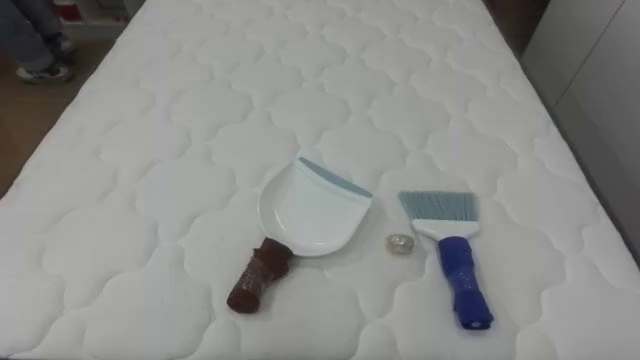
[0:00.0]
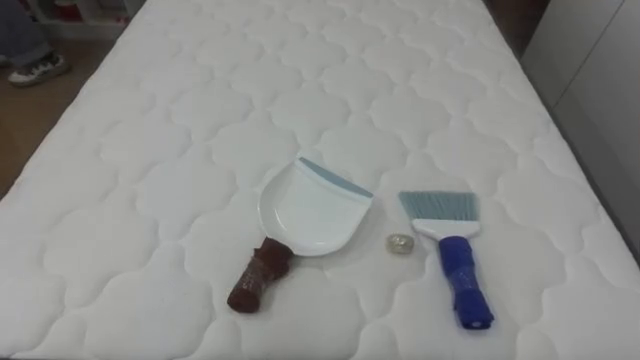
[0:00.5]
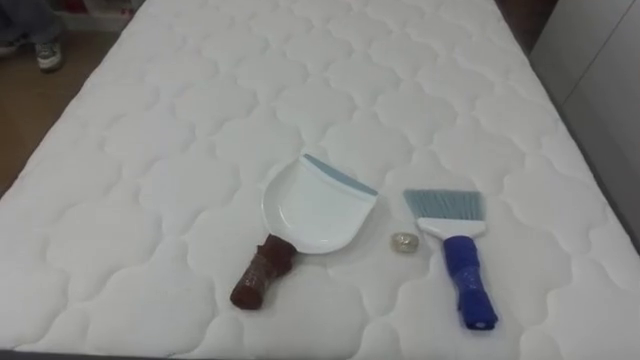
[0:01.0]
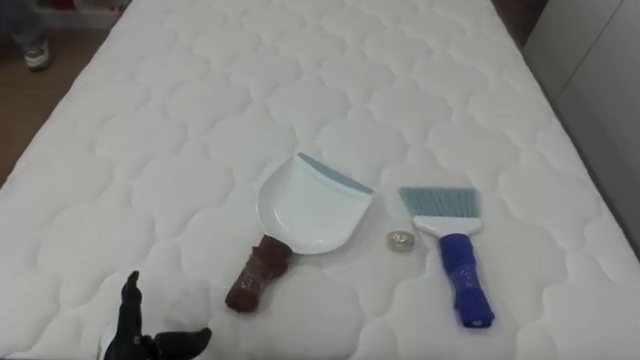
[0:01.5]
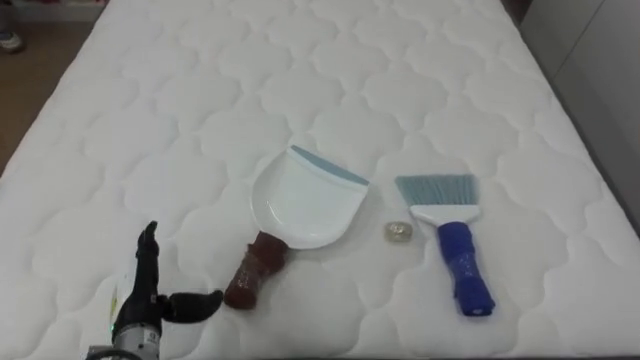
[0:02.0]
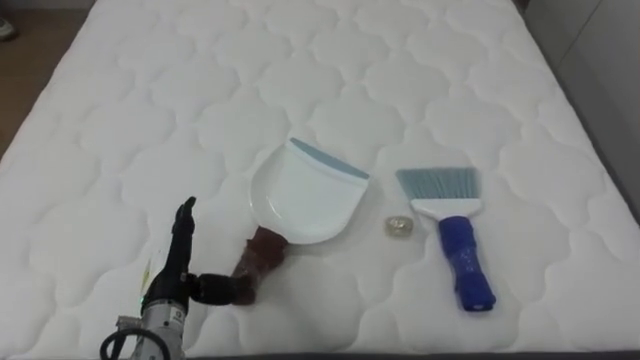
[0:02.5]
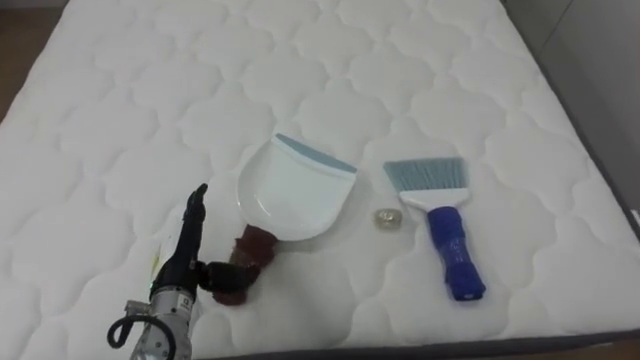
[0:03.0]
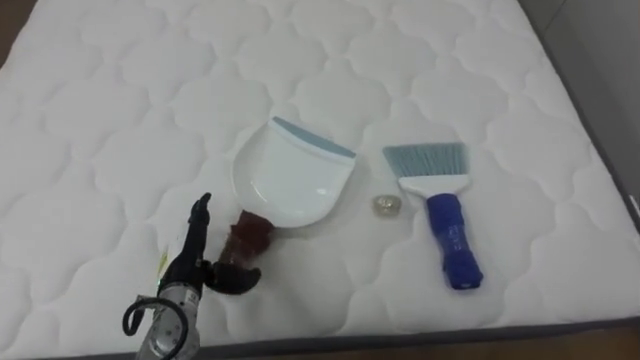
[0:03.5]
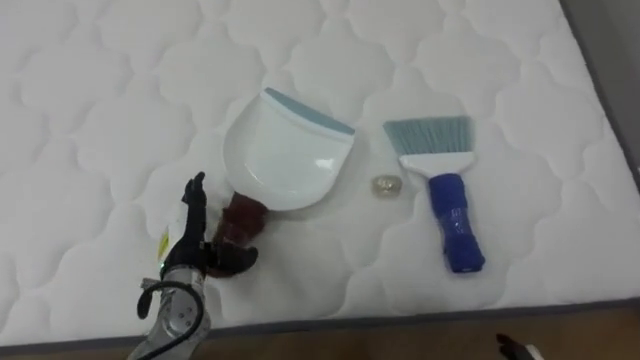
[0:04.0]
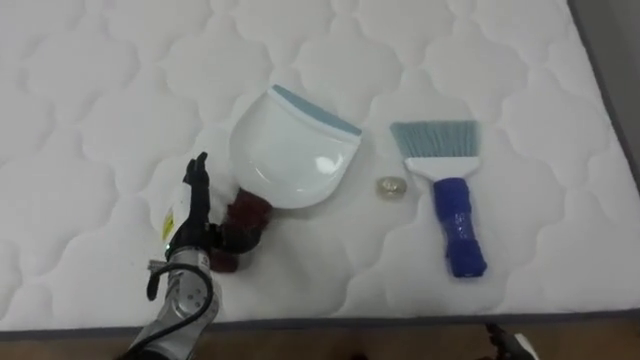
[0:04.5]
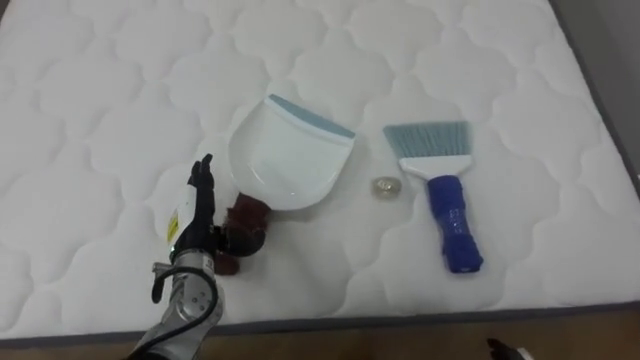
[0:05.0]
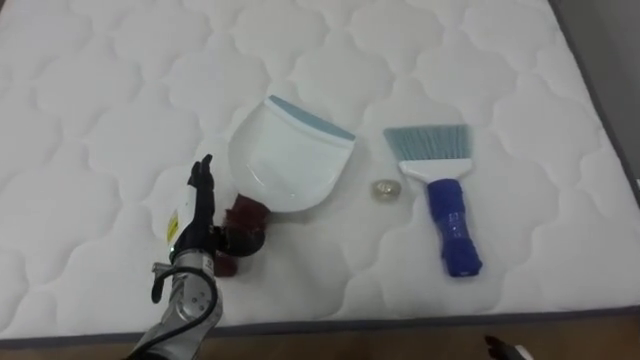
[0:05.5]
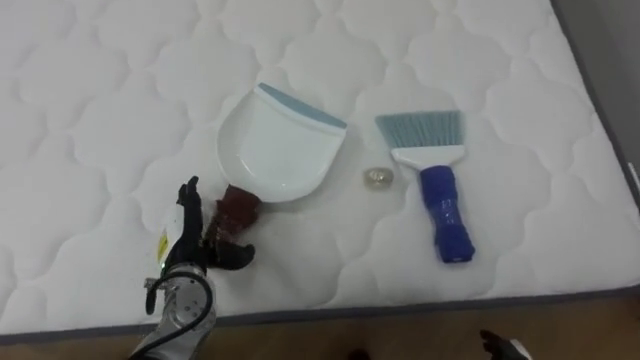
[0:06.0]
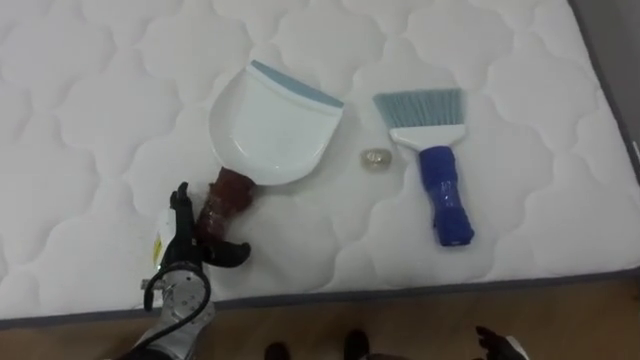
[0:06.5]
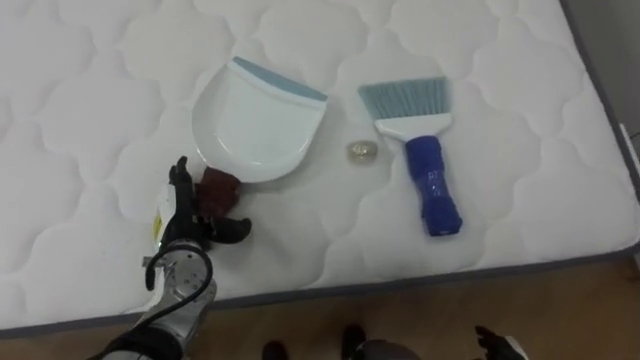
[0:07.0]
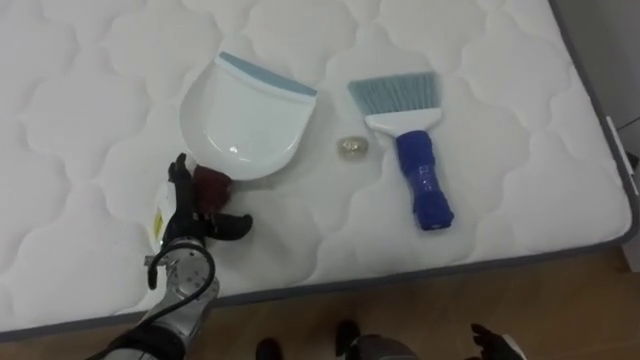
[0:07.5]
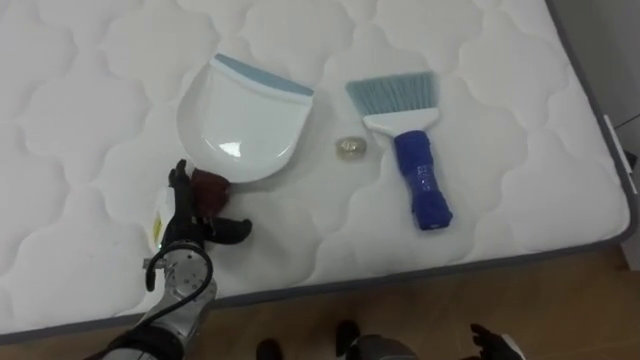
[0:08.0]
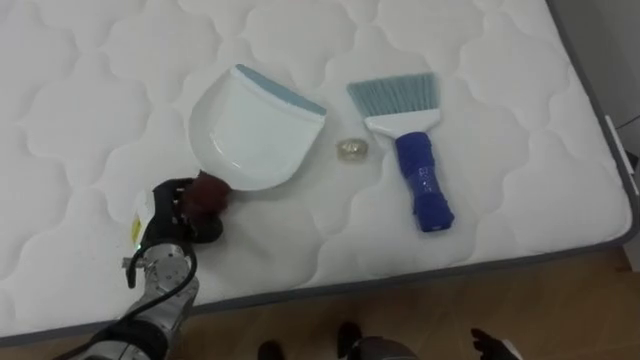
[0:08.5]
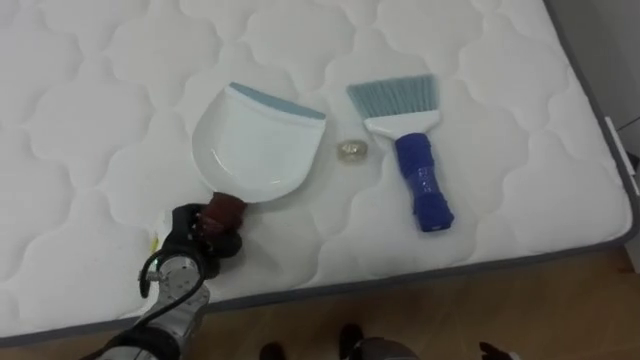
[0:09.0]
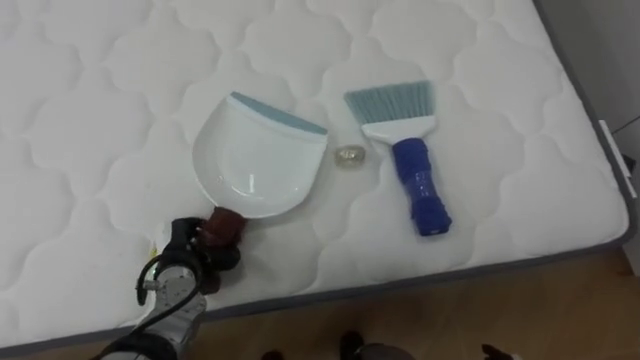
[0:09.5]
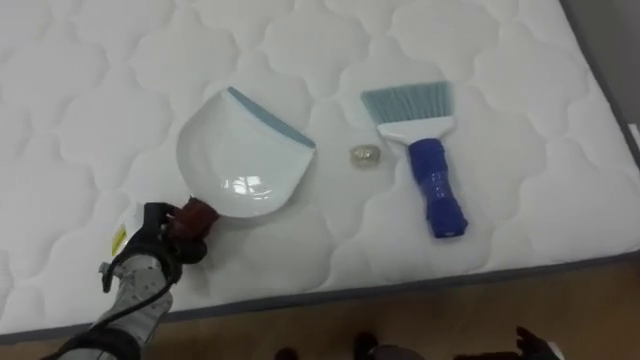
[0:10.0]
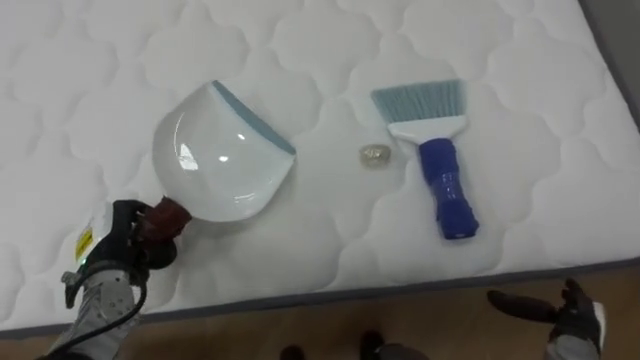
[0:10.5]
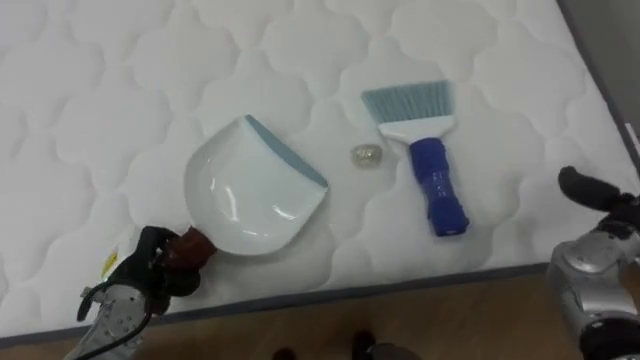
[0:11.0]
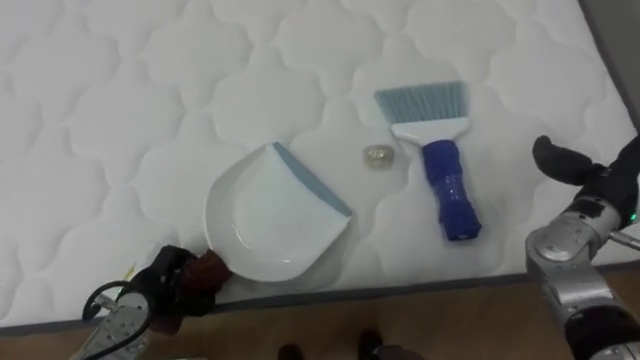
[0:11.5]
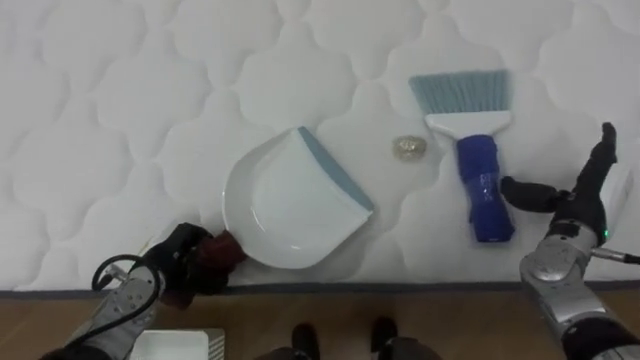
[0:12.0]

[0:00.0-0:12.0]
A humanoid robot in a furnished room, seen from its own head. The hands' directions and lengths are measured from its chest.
Task of the whole recording: Pick up the brush on your right and the dustpan on your left. Use the brush to sweep the crumpled paper on the bed into the dustpan, then turn left and empty it into the basket.
0:02.0 to 0:04.0: The left hand is displaced forward and to the right by some 10 cm.
0:08.0 to 0:10.0: The left hand heads to the left, covering roughly 5 cm, and closes up.

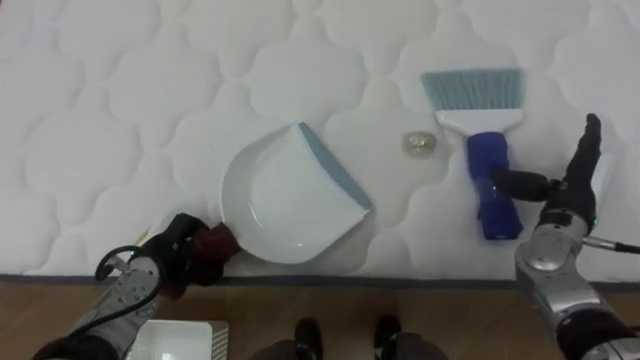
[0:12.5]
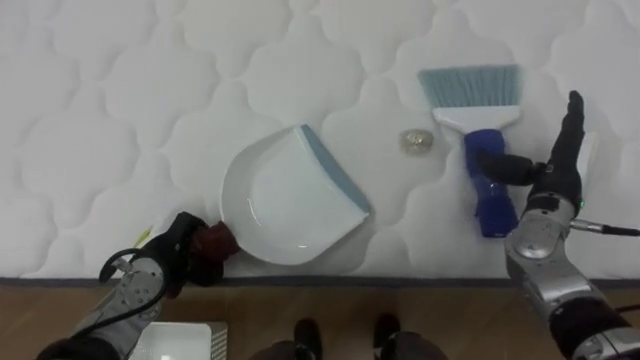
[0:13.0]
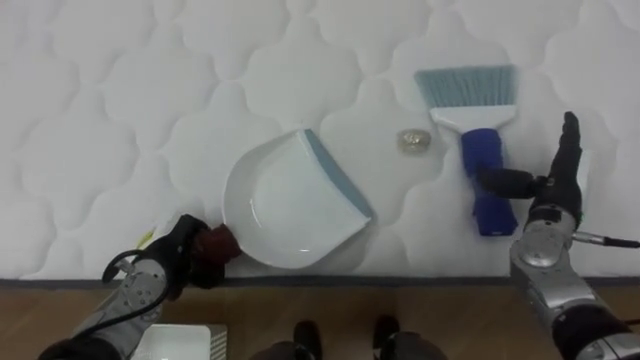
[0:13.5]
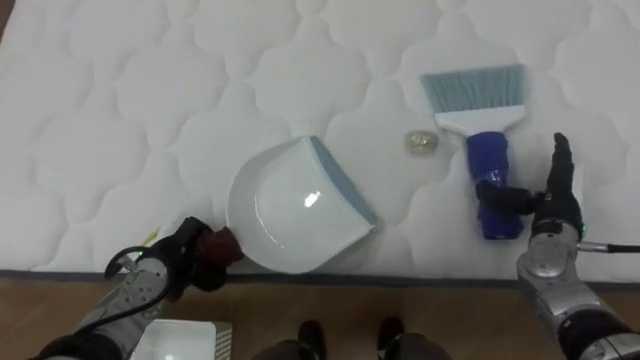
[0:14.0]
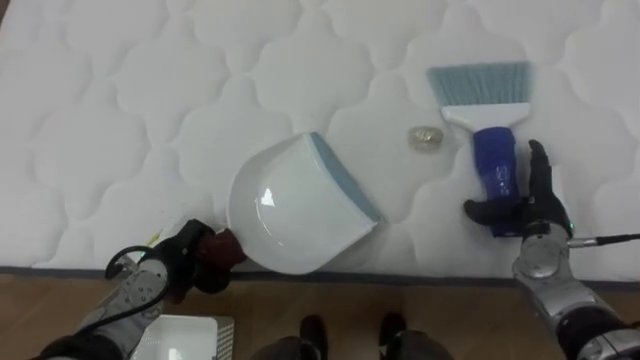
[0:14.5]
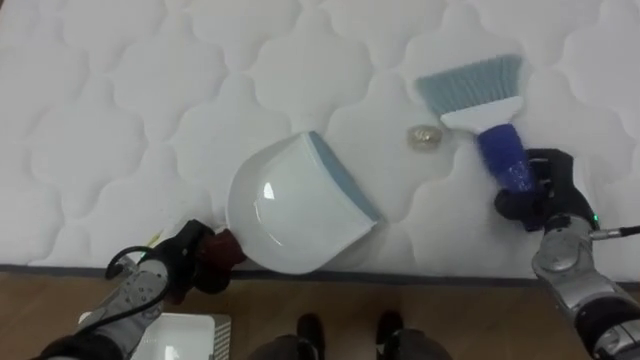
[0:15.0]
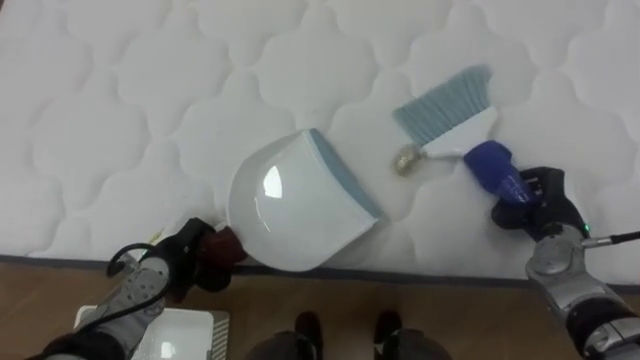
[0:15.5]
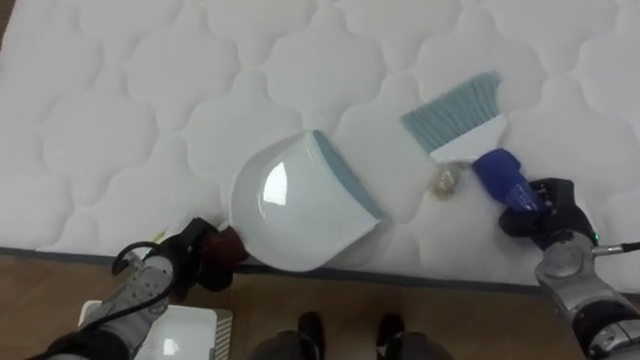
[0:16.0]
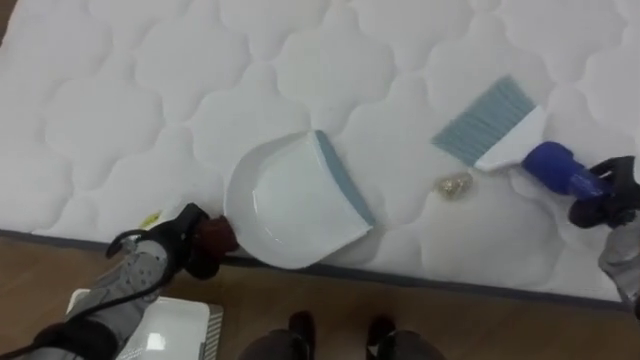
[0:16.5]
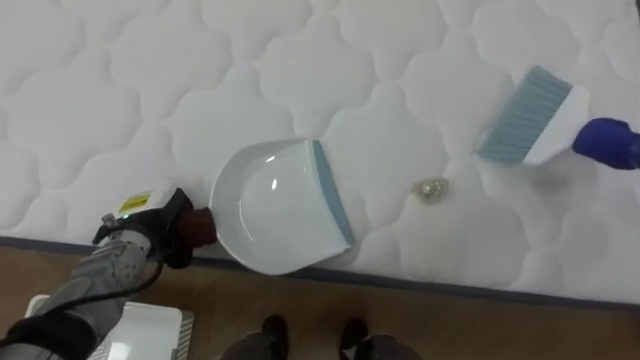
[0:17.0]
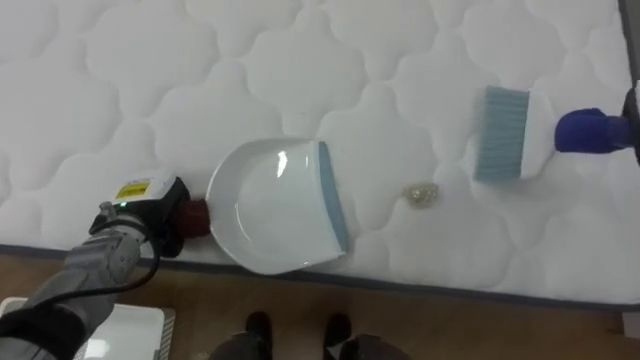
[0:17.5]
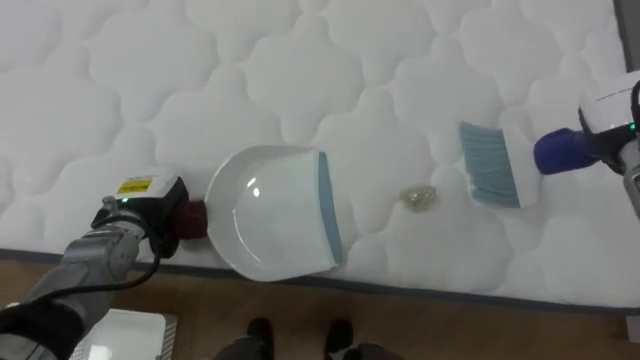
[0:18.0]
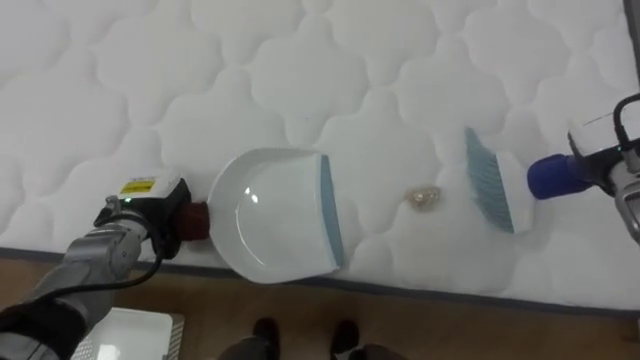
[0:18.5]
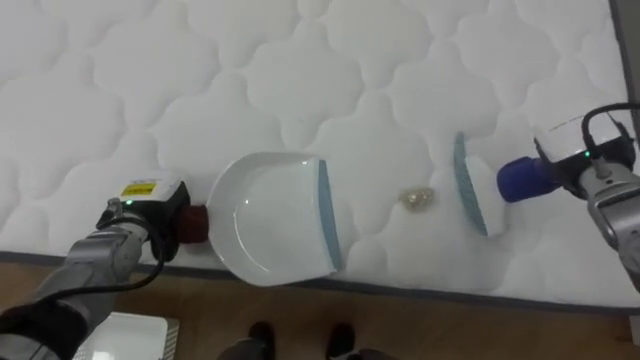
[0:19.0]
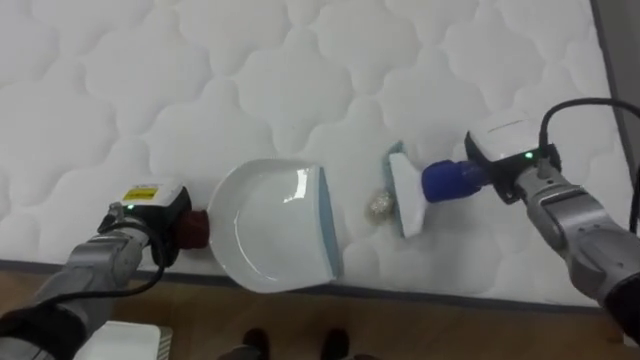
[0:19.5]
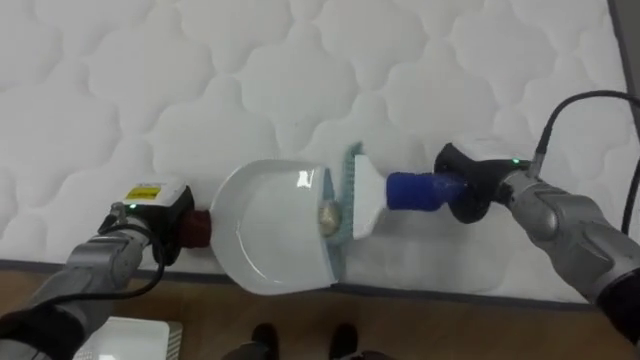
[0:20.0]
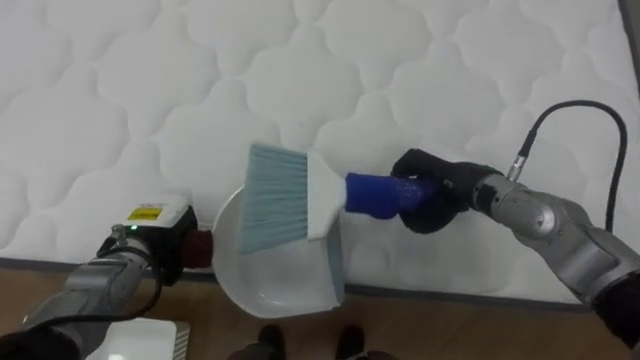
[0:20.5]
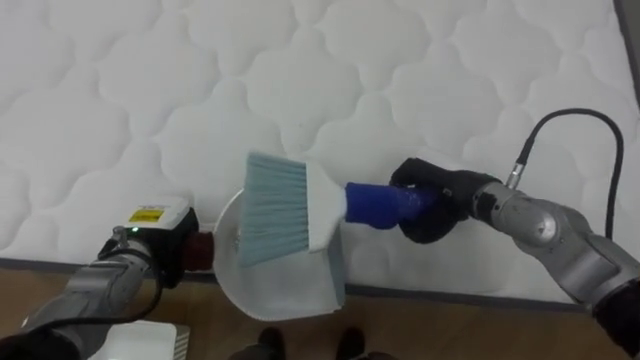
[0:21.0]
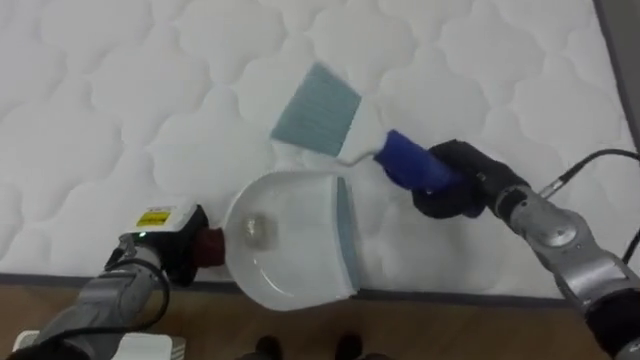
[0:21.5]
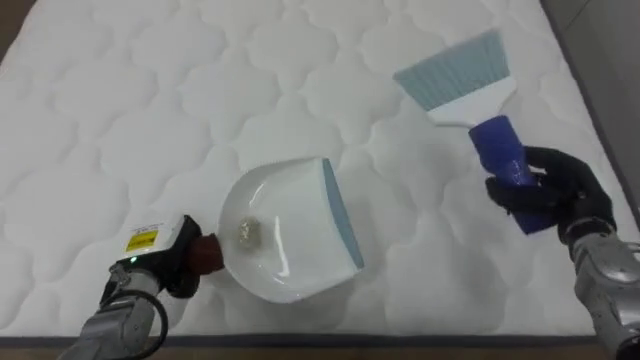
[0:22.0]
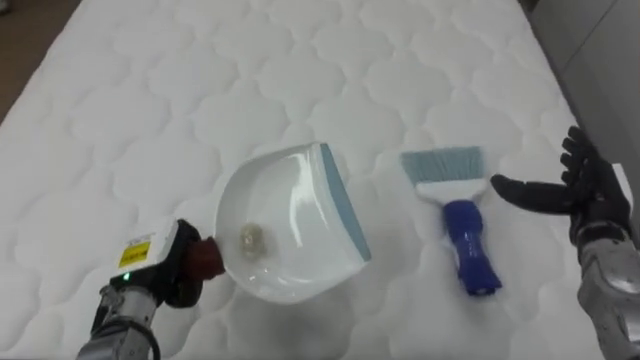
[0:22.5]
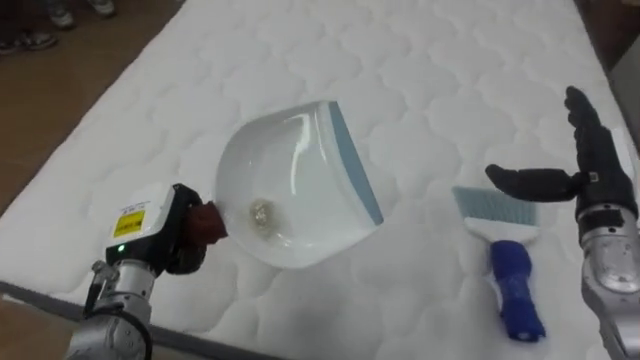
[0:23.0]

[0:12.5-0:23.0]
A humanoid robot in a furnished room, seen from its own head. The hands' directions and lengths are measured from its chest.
Task of the whole recording: Pick up the brush on your right and the dustpan on your left. Use the brush to sweep the crumpled paper on the bed into the dustpan, then turn left and empty it into the basket.
0:14.5 to 0:16.5: The right hand moves to the right, roughly 10 cm, and closes its fingers.
0:16.5 to 0:19.0: The left hand changes place by about 5 cm.
0:19.0 to 0:21.0: The right hand goes approximately 15 cm to the left.
0:21.0 to 0:23.0: The left hand ends up approximately 5 cm from where it was; the right hand travels to the right by approximately 15 cm, and opens its fingers.
